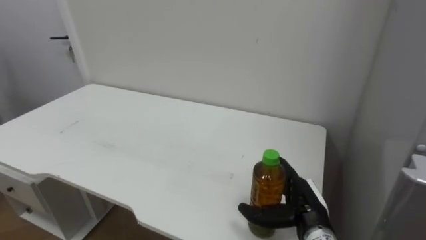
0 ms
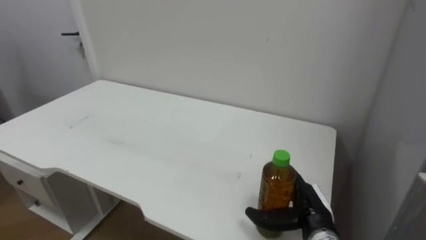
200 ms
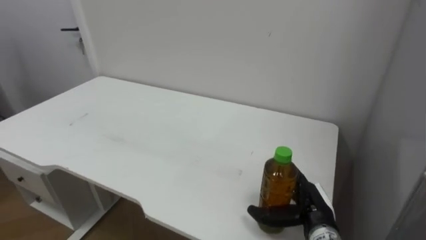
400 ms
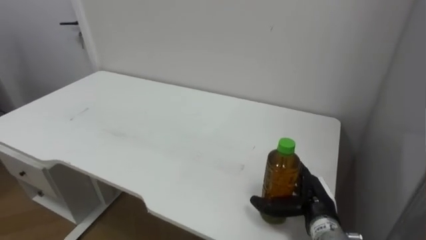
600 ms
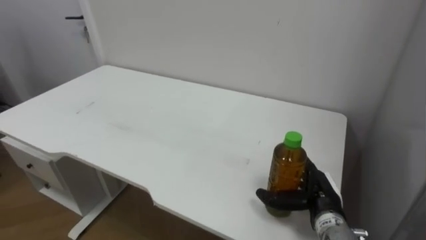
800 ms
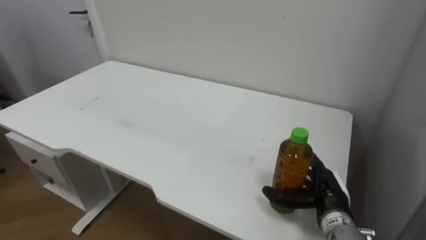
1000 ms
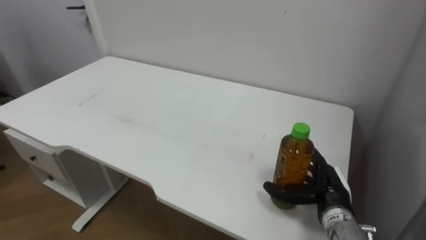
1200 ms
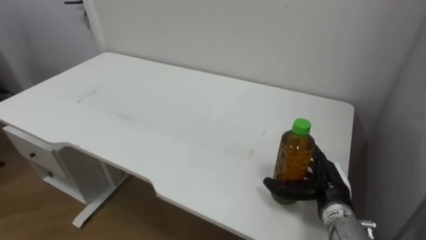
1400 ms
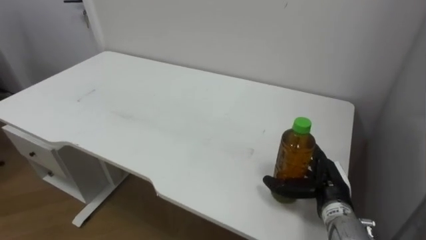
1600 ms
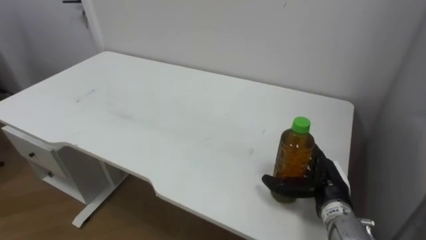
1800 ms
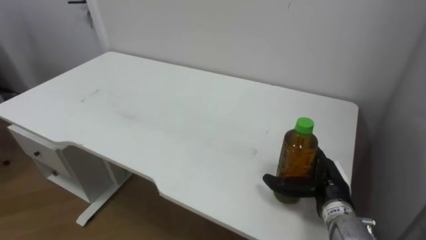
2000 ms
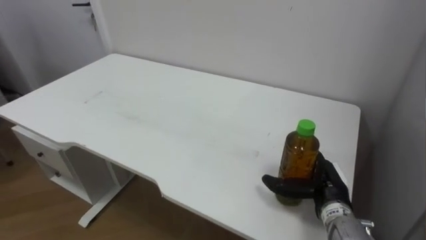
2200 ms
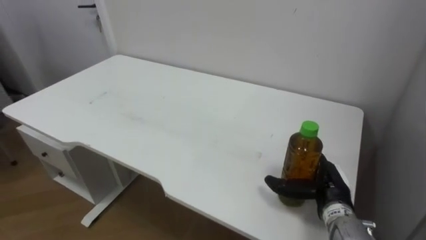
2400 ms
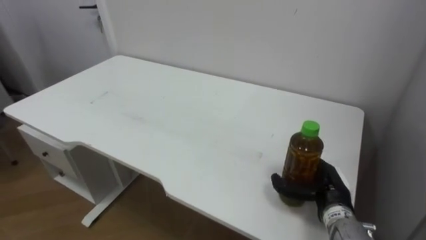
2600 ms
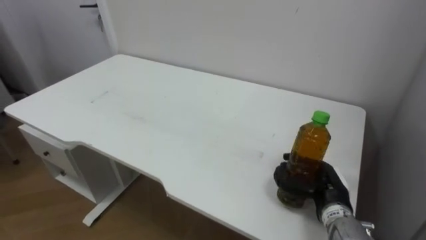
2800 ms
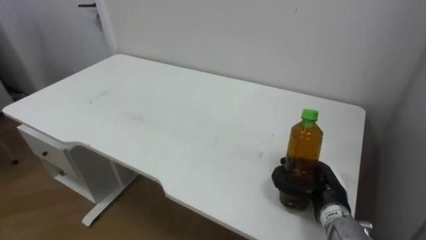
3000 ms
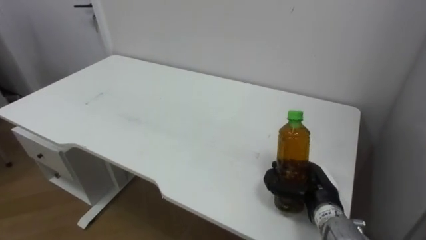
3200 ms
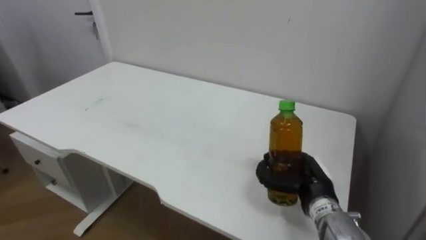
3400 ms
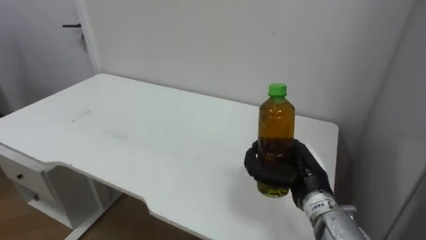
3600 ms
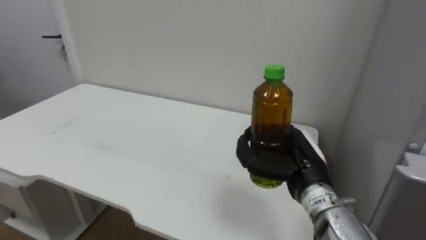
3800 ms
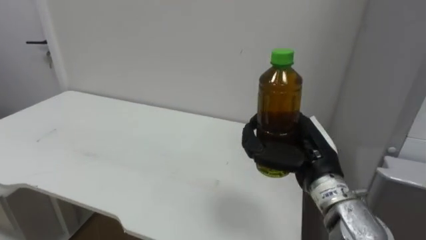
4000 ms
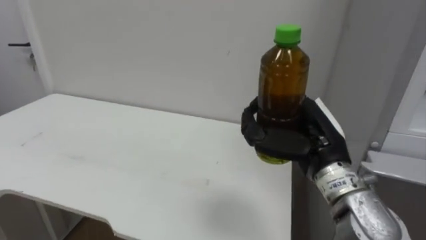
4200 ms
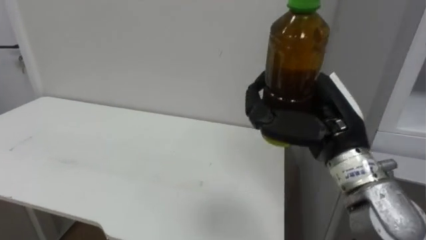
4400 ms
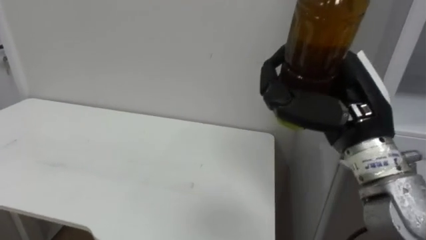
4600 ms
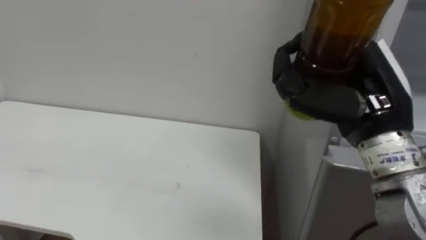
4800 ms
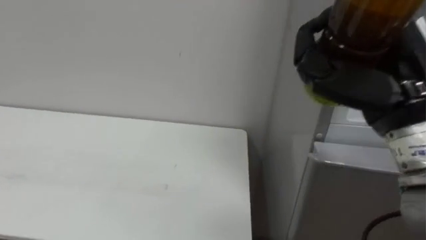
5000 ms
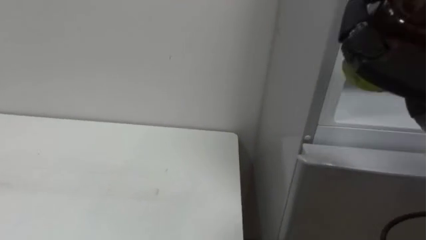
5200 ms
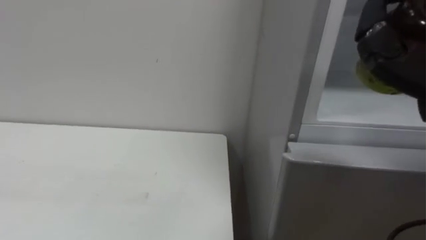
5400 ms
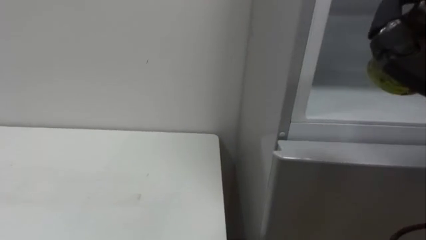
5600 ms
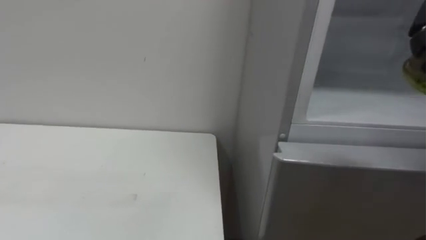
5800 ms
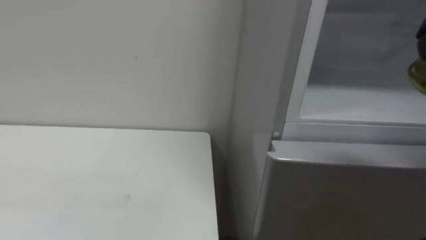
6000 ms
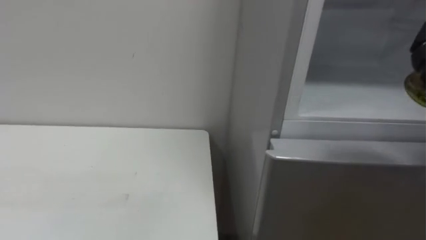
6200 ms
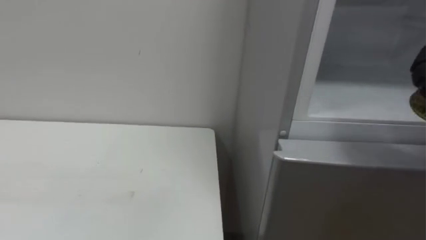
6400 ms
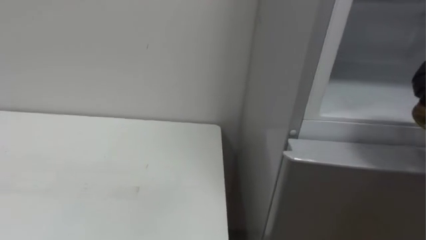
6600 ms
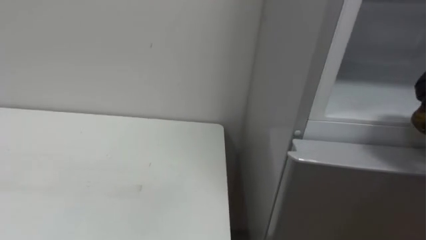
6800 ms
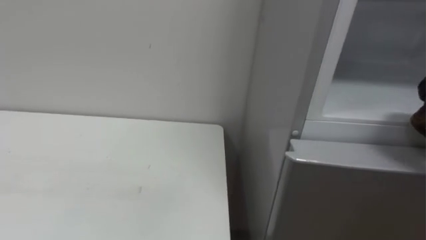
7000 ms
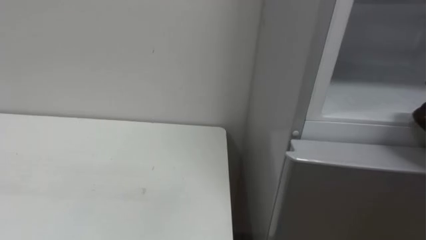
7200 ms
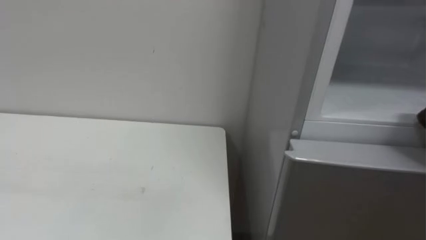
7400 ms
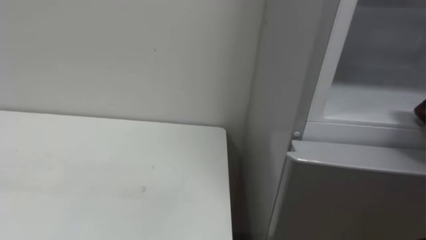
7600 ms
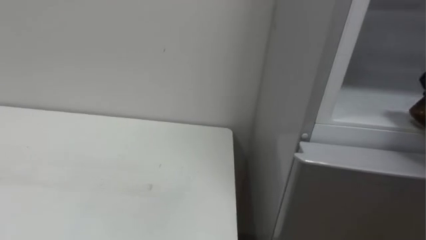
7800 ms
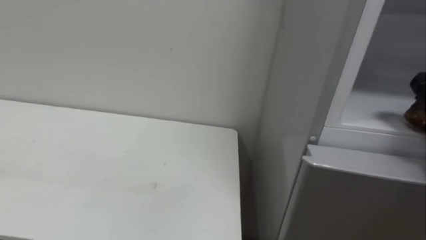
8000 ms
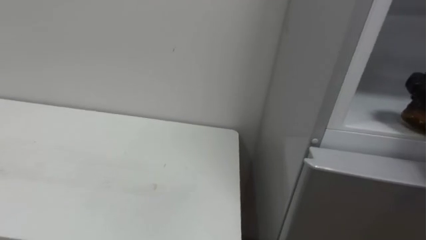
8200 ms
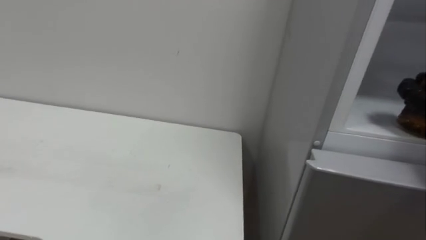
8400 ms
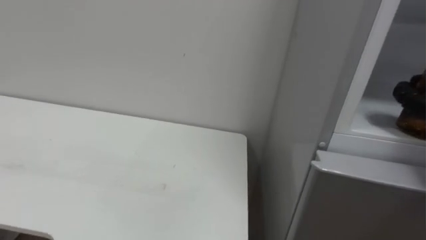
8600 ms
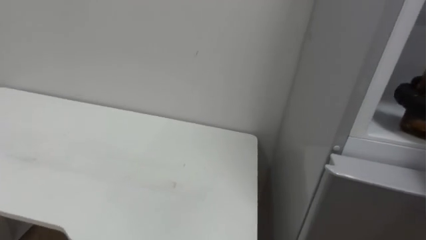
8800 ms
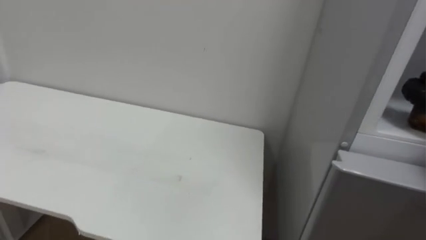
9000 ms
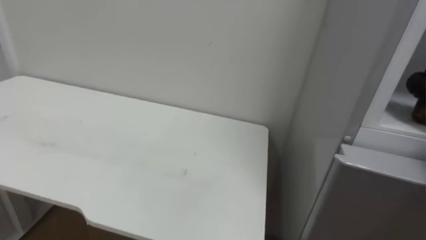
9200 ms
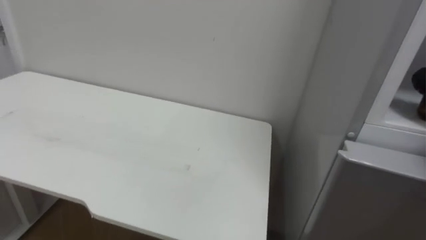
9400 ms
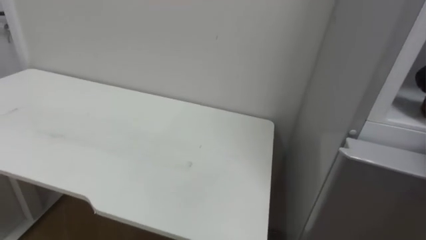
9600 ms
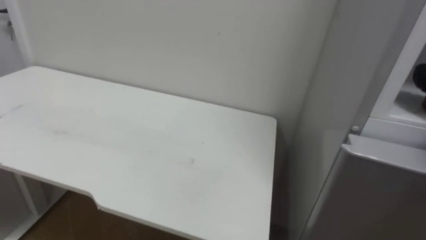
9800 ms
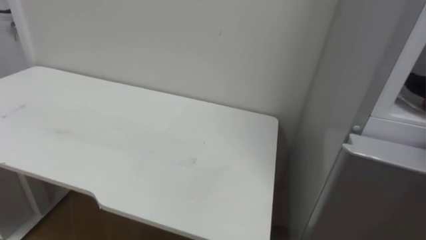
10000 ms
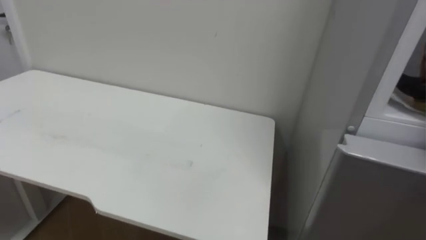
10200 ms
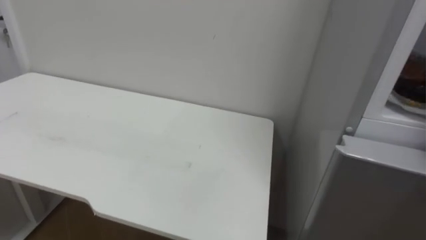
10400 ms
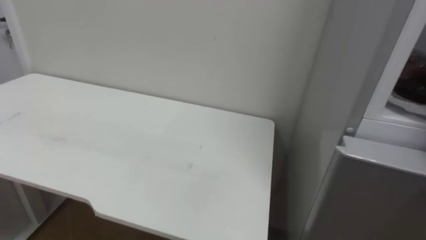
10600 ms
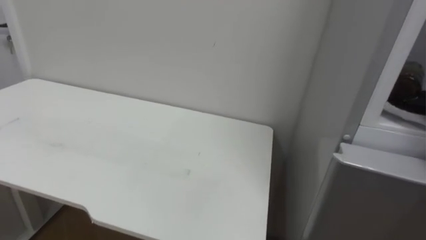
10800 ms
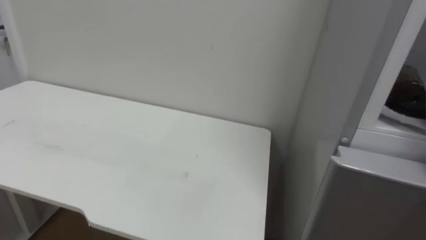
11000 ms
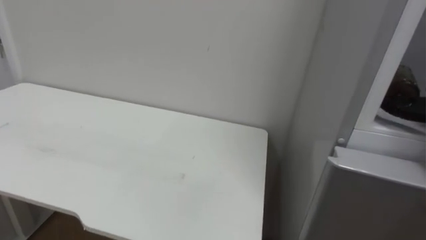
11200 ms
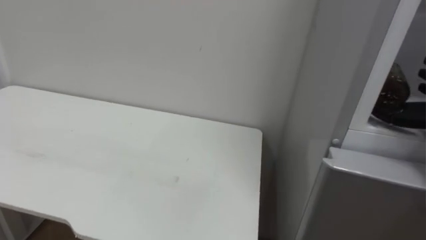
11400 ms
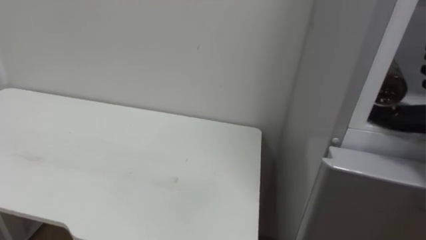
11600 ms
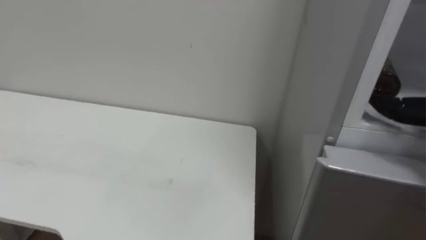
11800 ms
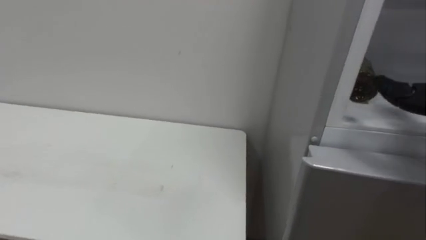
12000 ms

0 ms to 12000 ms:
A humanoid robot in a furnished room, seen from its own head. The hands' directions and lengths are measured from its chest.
Task of the whole recording: Open the upper refrigerator door, put the drink from the table into the refrigerator, and then close the refrigerator door.
0 ms to 1600 ms: The right hand ends up approximately 5 cm from where it was.
1600 ms to 3000 ms: The right hand closes its fingers.
3000 ms to 4400 ms: The right hand is displaced upward by some 20 cm.

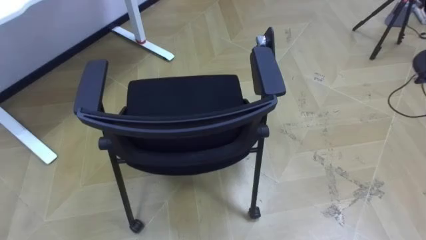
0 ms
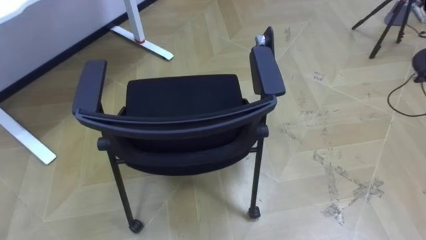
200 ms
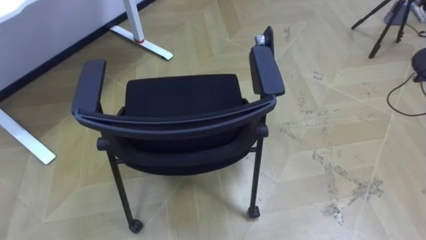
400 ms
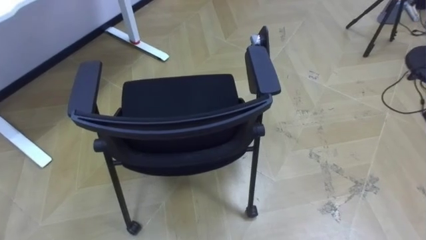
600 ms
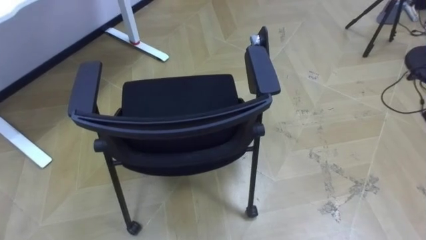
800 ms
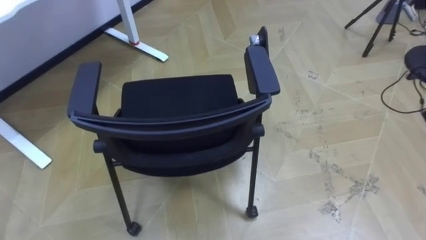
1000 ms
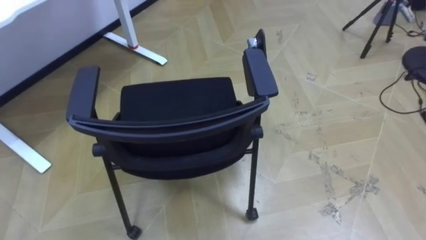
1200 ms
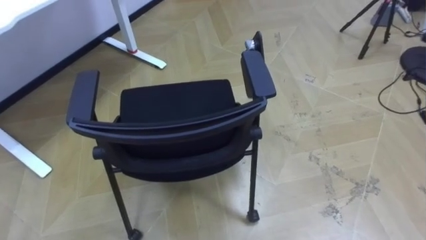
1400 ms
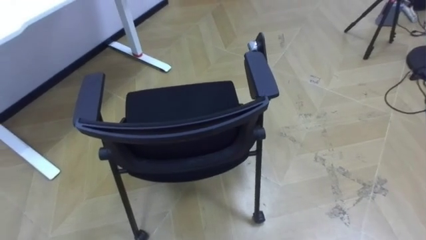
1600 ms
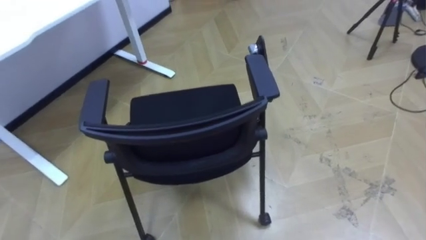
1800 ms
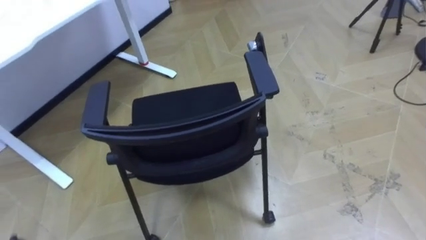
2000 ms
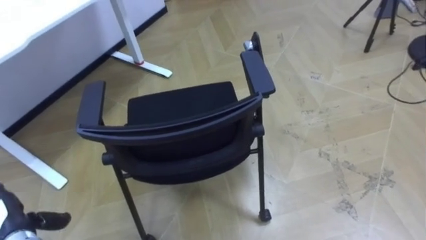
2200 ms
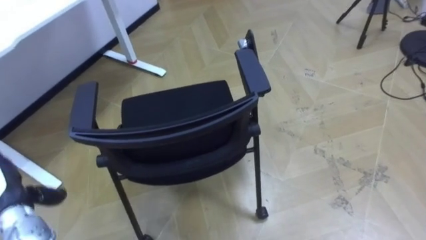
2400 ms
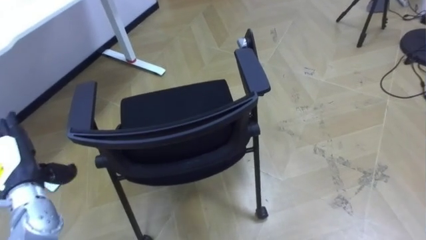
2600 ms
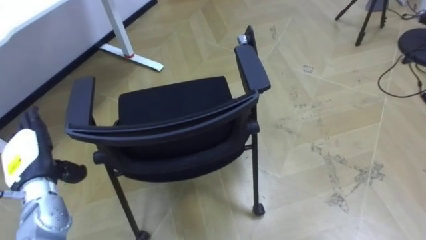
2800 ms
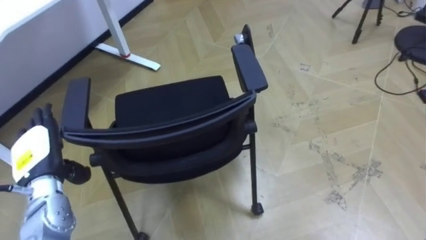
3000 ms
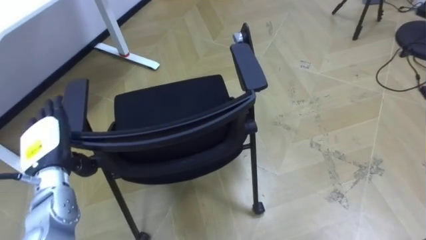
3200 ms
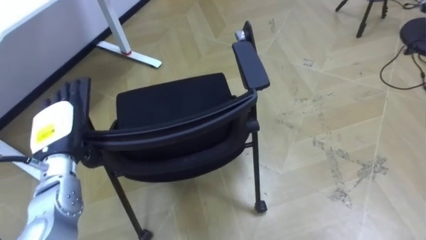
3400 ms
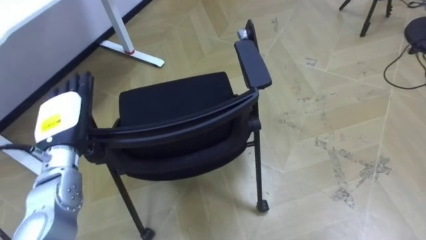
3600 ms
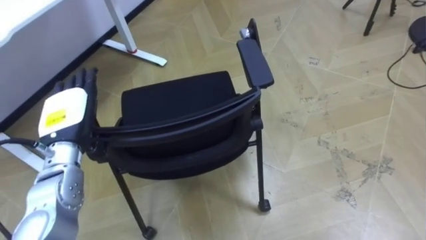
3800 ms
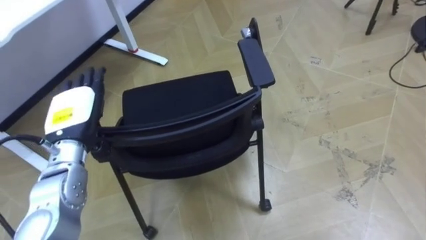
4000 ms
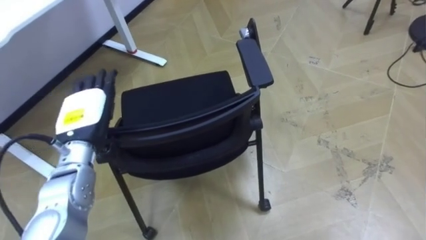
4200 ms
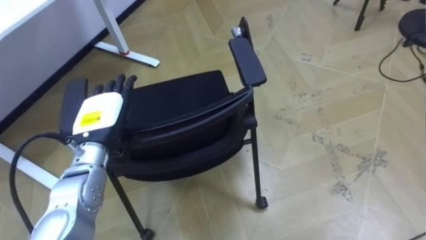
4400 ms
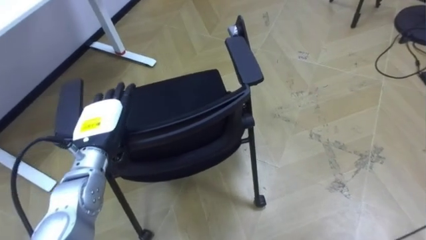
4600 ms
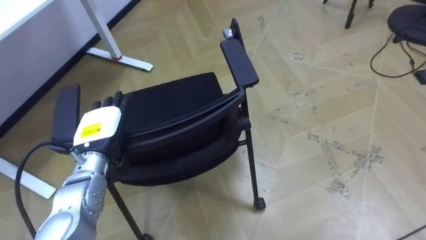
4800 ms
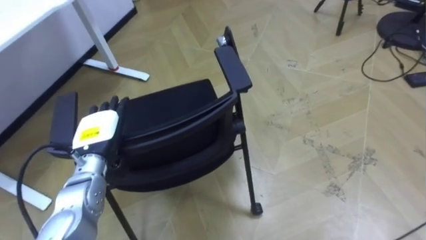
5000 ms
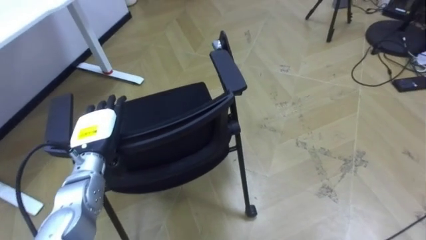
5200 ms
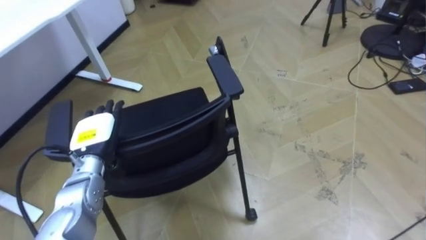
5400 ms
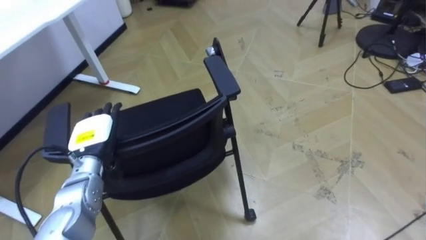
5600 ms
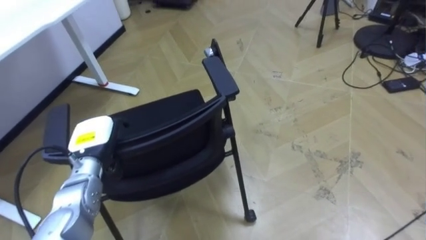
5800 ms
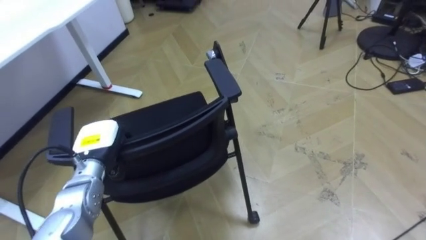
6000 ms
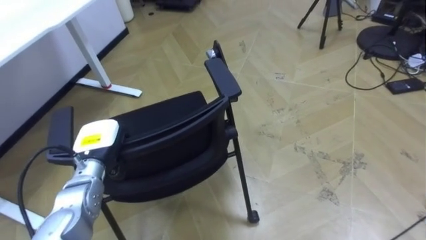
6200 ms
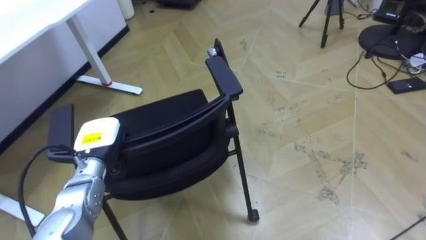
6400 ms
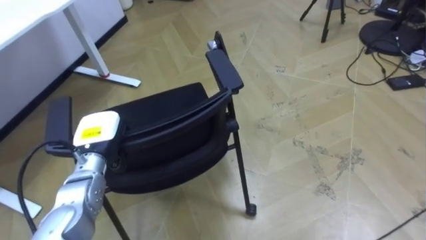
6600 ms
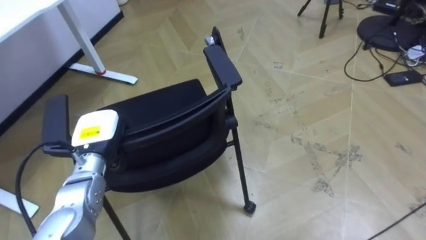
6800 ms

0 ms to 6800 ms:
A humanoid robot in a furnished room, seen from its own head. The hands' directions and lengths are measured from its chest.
Task of the whole recording: Push the chair under the table.
2800 ms to 4000 ms: The left hand heads to the right, upward and forward, covering some 10 cm.
4000 ms to 5400 ms: The left hand heads downward, covering some 5 cm.
5400 ms to 6800 ms: The left hand closes.
